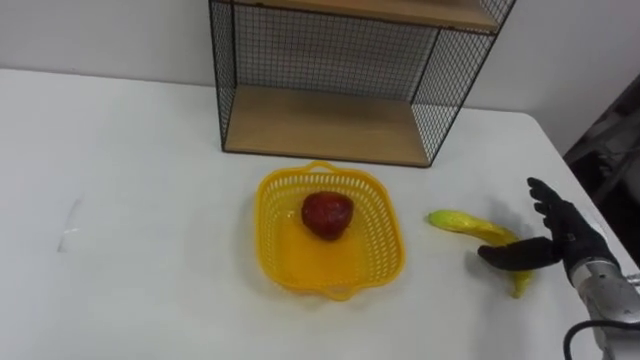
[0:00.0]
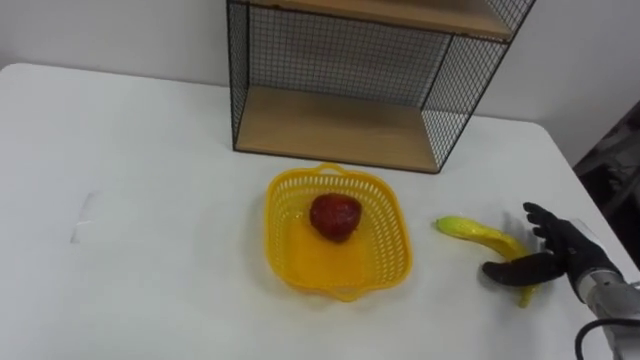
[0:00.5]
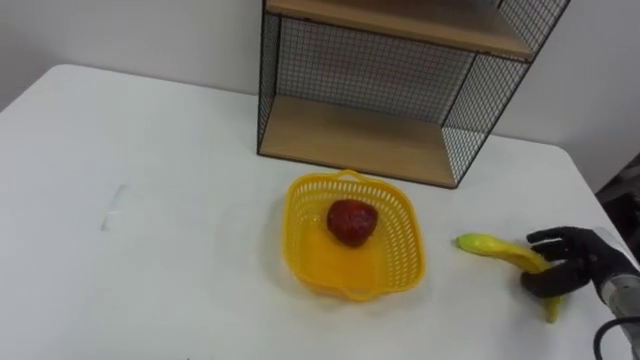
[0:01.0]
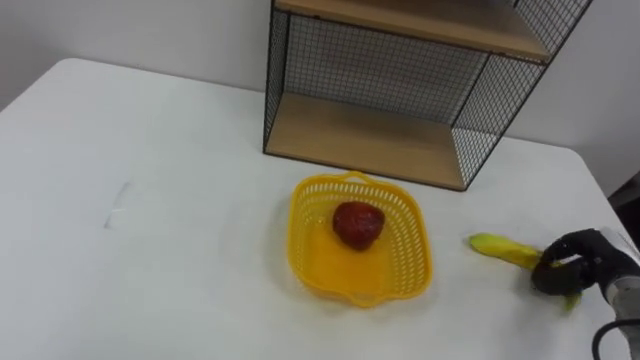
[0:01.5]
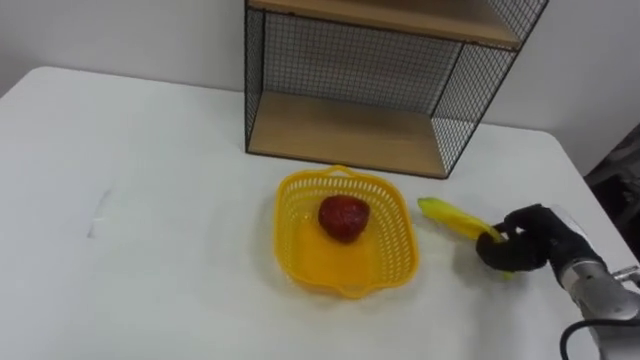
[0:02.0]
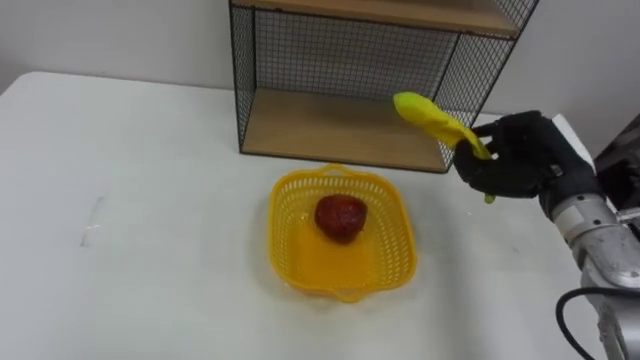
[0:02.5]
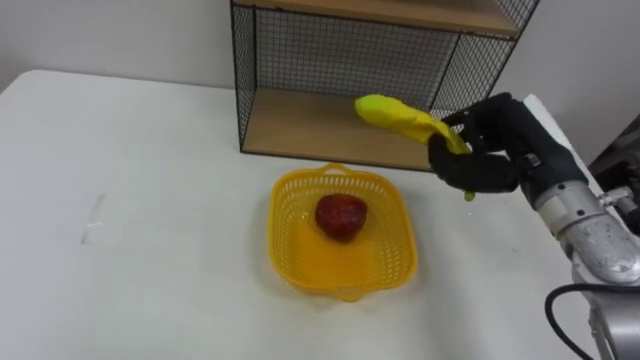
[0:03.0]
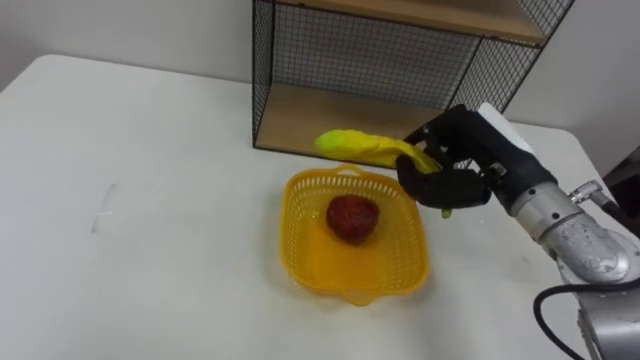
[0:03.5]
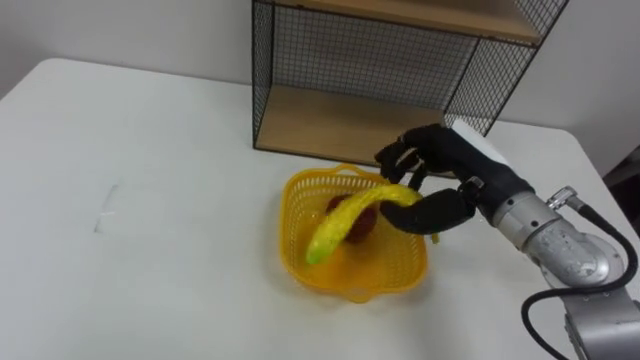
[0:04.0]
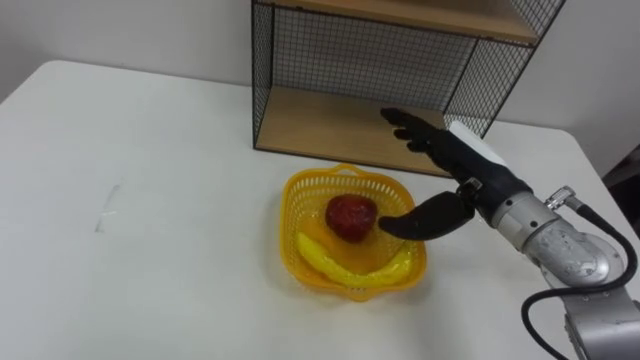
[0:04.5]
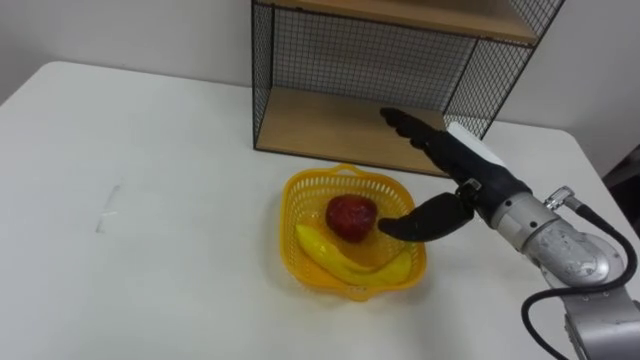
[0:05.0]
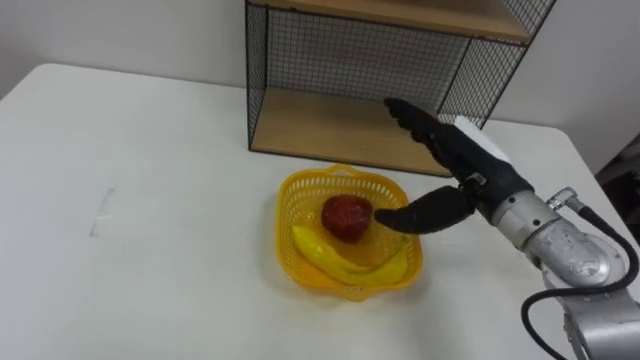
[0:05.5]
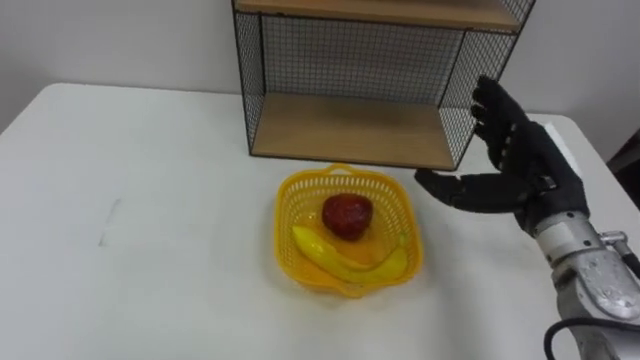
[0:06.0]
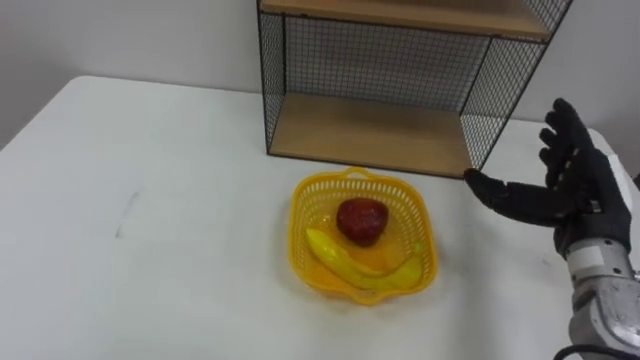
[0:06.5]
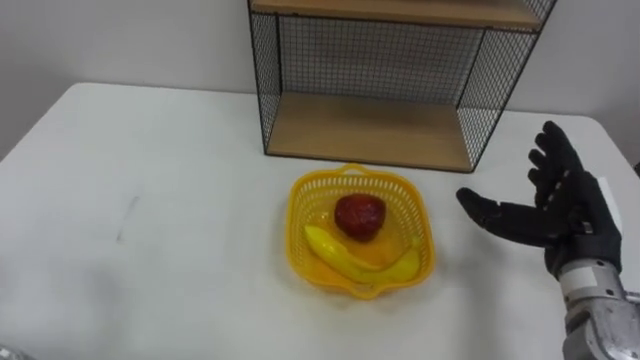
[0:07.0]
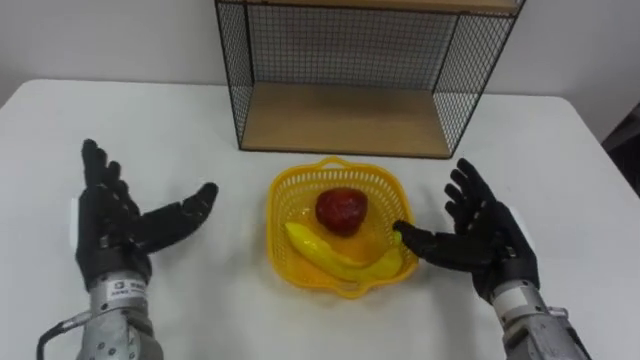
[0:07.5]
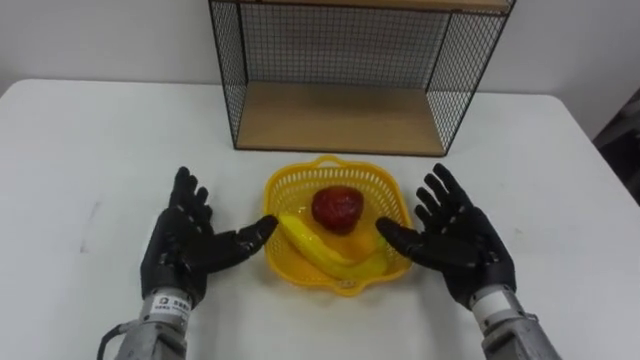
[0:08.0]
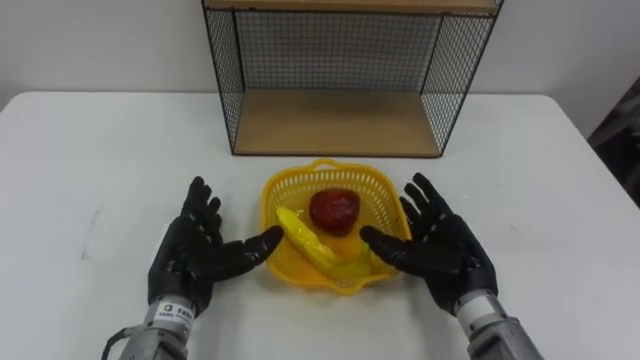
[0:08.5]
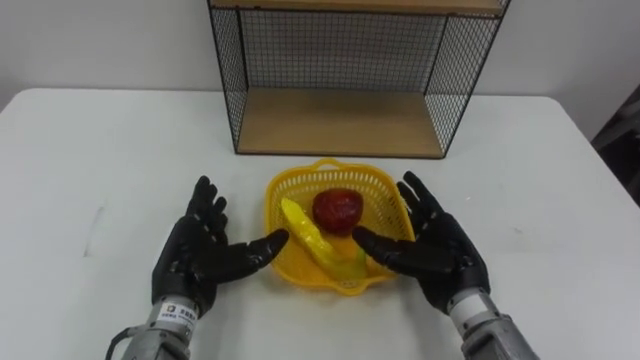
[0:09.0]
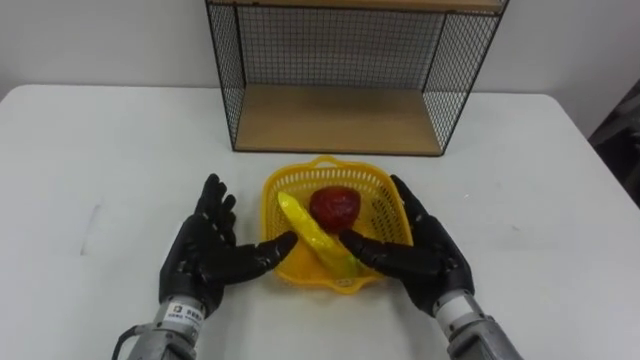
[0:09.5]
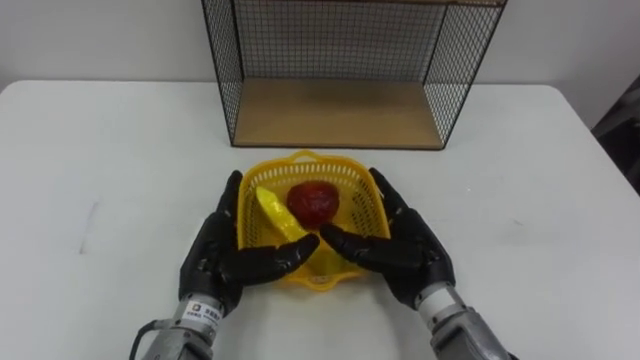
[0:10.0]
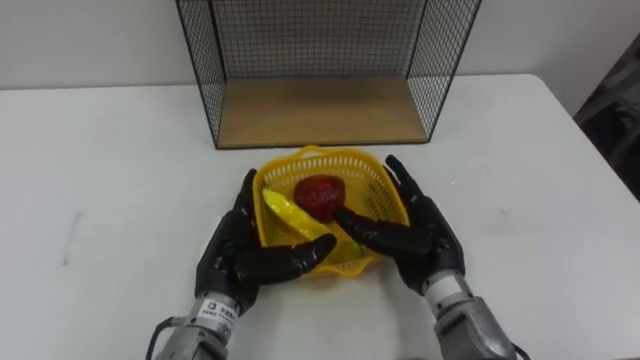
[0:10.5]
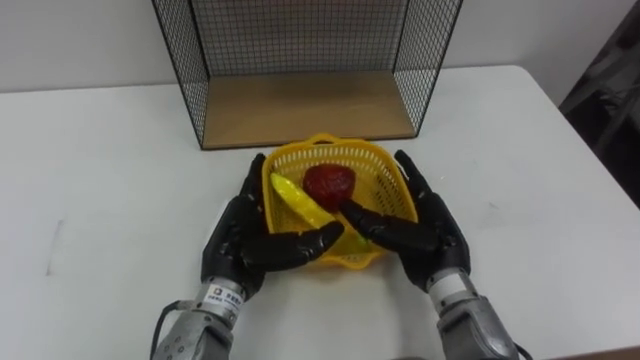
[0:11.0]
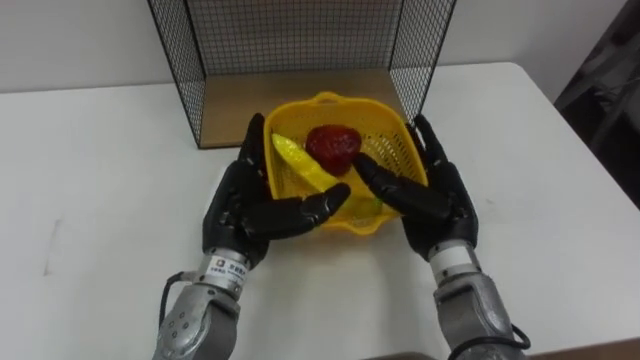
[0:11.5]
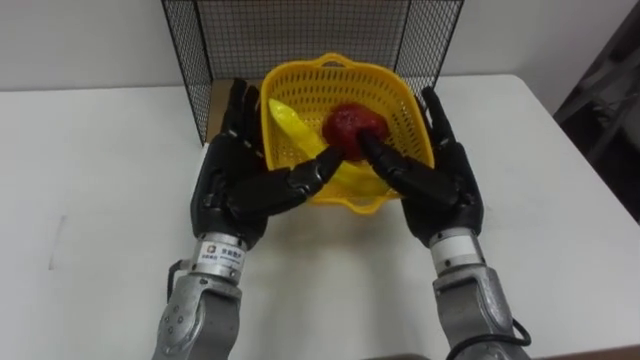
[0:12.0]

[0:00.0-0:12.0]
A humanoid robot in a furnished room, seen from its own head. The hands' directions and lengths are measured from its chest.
Task of the whole recording: Put the fruit on the table into the basket, then place the basket on the shelf.
0:00.0 to 0:02.0: The right hand closes its fingers.
0:02.0 to 0:04.0: The right hand is displaced to the left and upward by some 20 cm.
0:04.0 to 0:06.0: The right hand goes approximately 5 cm to the right, and opens its fingers.
0:06.0 to 0:08.0: The right hand is displaced downward by about 10 cm.
0:08.0 to 0:10.0: The right hand moves to the left, about 5 cm; the left hand shifts roughly 5 cm to the right.
0:10.0 to 0:12.0: The hands both shift upward by approximately 10 cm.

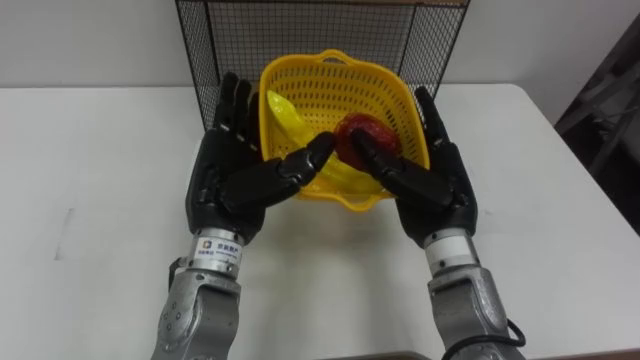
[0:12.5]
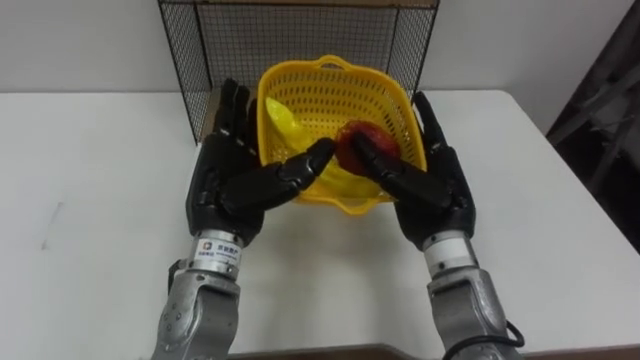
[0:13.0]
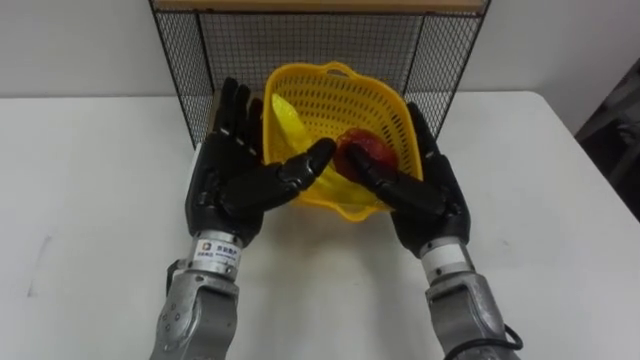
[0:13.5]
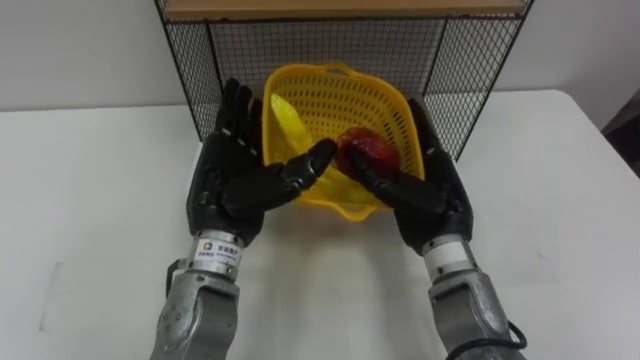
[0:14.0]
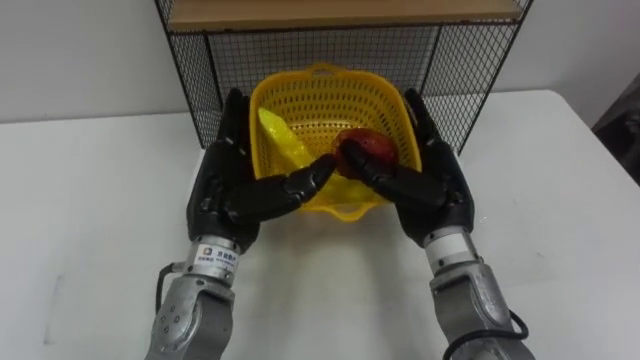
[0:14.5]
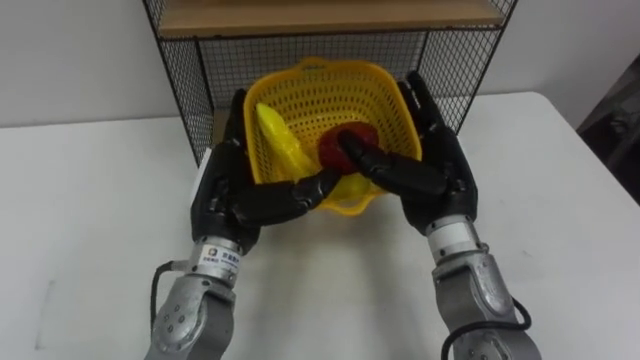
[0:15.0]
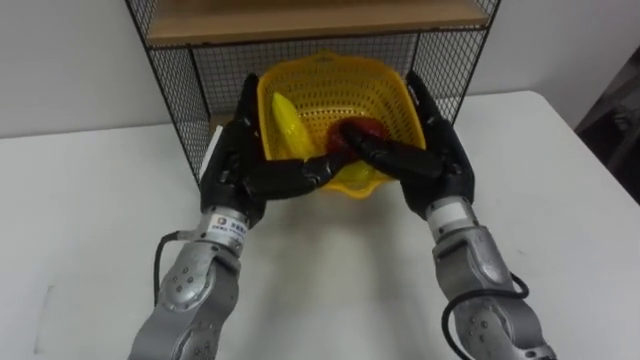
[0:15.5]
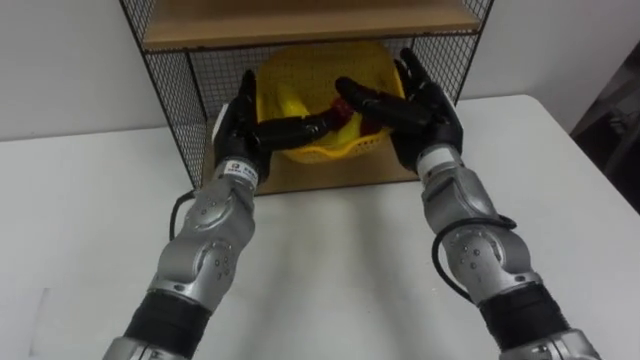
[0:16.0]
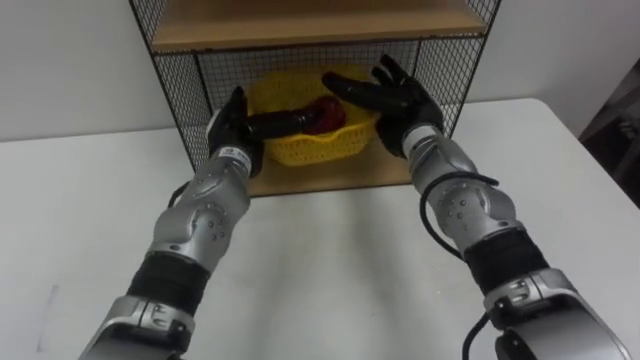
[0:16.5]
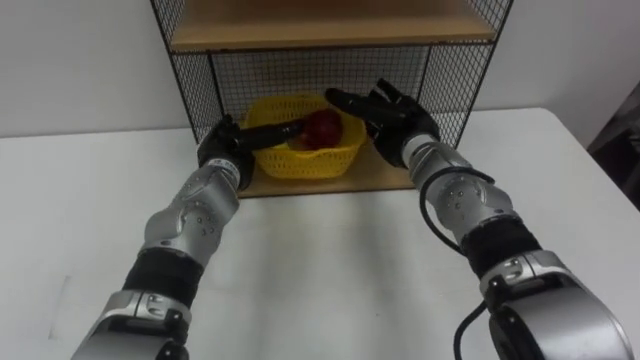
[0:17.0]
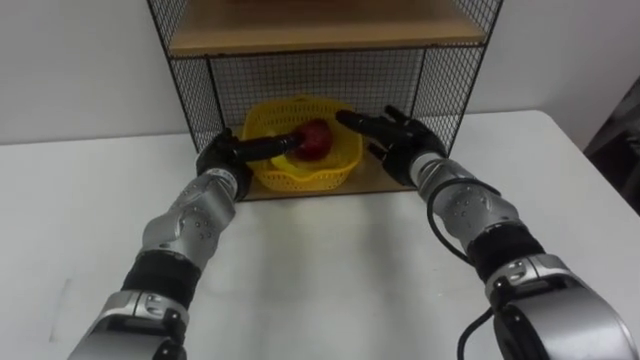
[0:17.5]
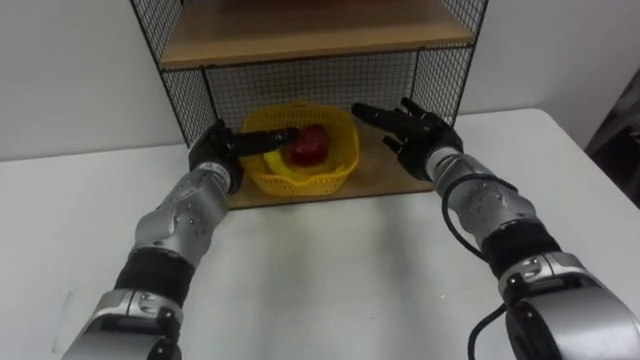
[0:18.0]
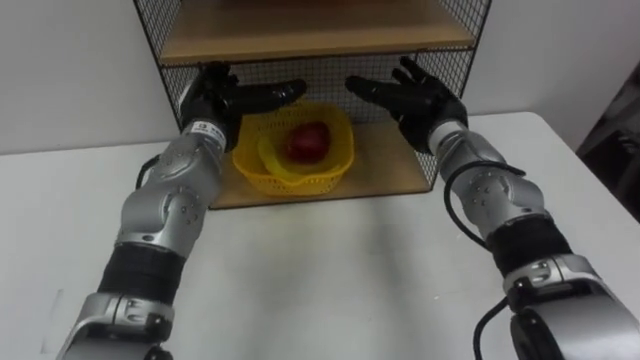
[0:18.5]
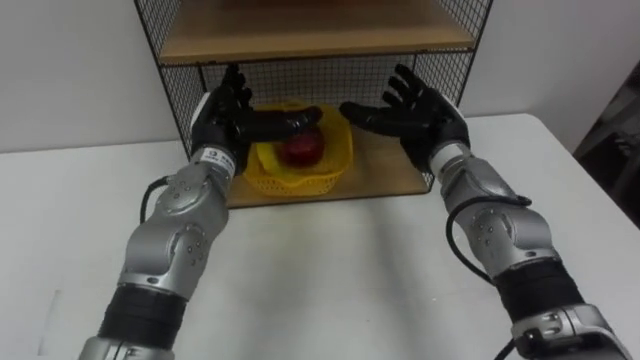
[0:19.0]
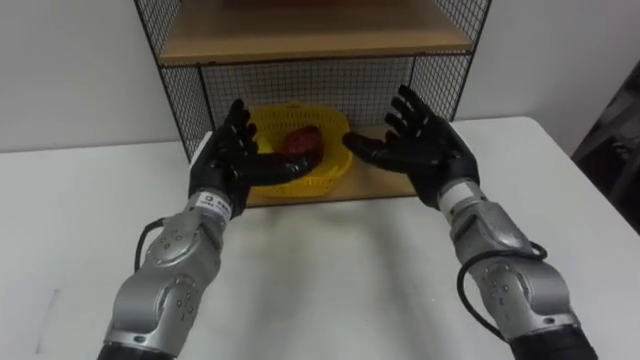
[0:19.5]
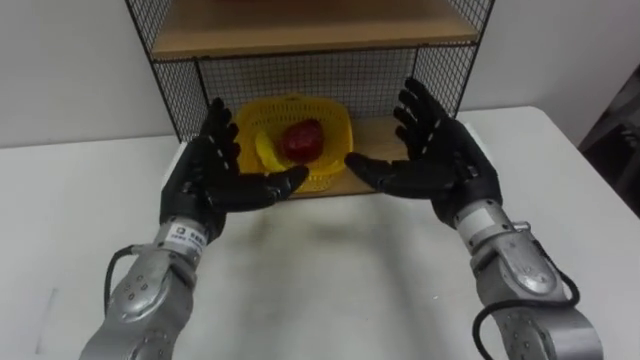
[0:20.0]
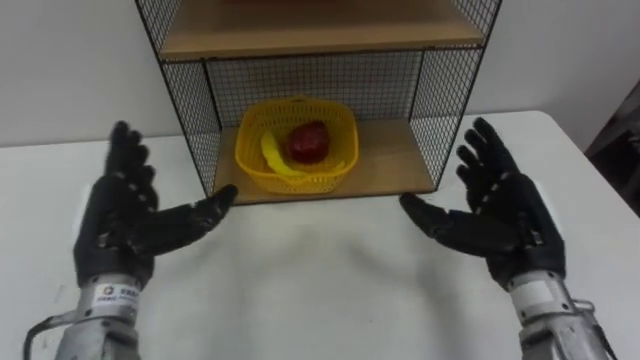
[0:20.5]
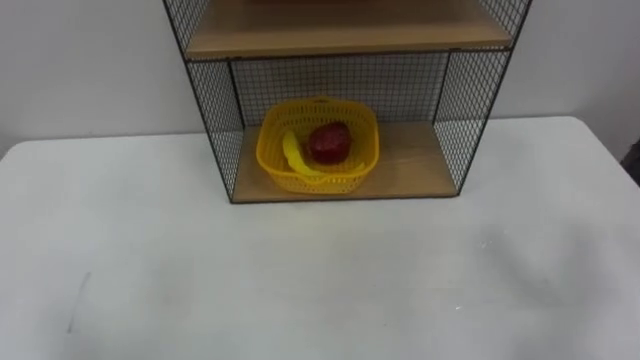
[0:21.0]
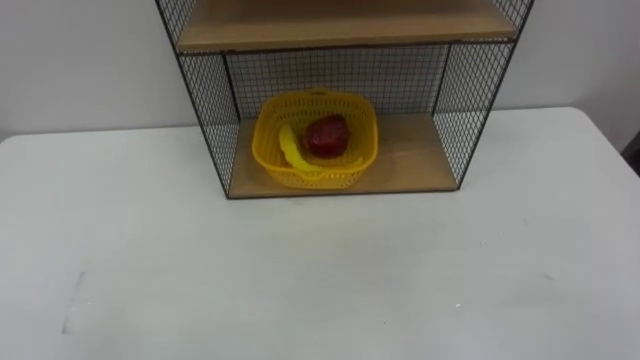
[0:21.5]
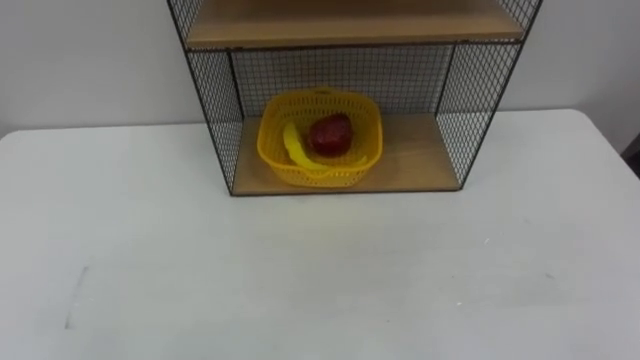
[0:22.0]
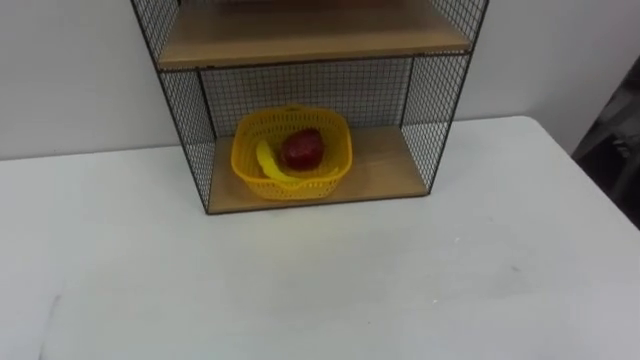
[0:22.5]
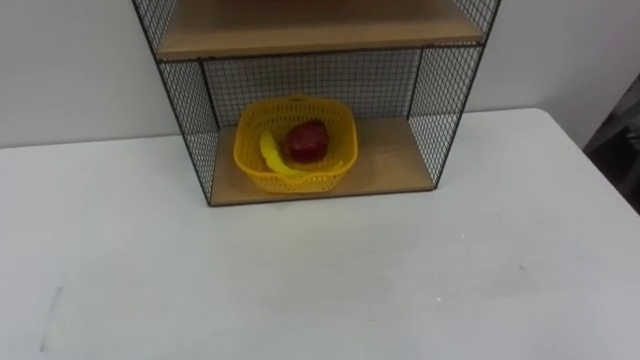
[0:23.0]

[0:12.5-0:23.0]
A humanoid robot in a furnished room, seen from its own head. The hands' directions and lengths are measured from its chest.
Task of the whole recording: Put the fruit on the table into the basket, then place the basket on the shelf.
0:14.5 to 0:16.5: Both hands travel together forward, approximately 10 cm.
